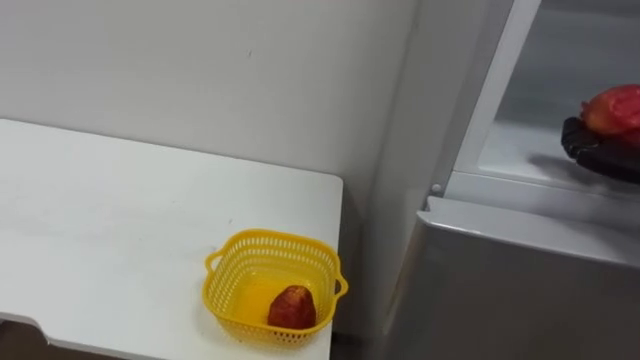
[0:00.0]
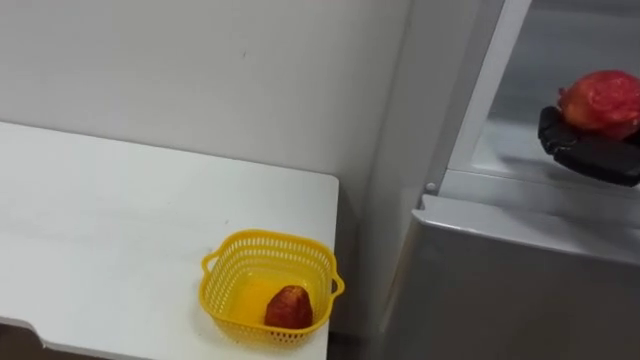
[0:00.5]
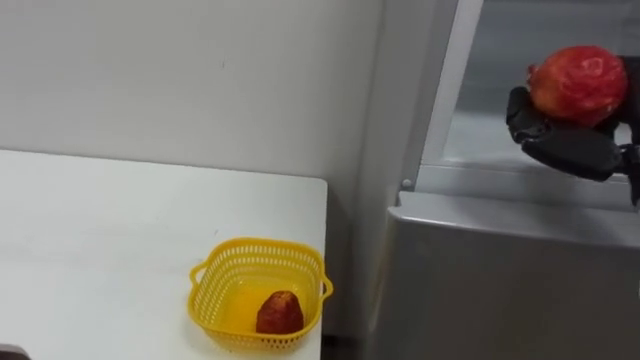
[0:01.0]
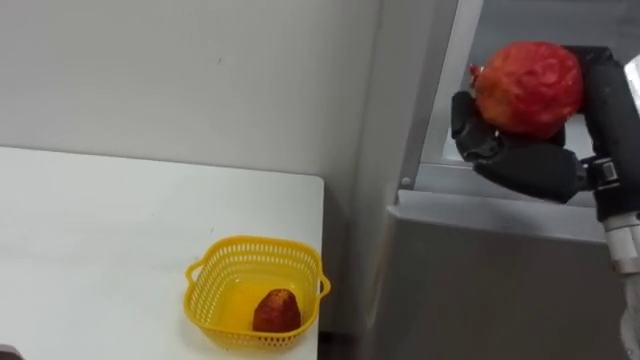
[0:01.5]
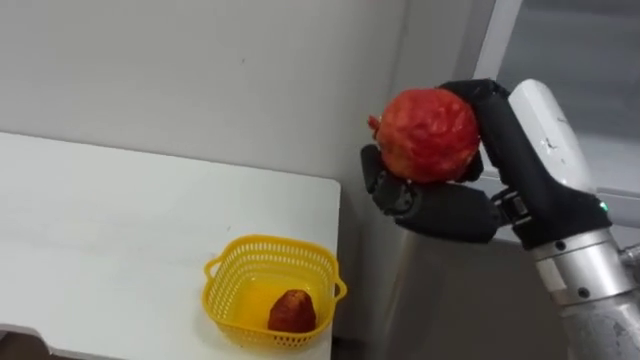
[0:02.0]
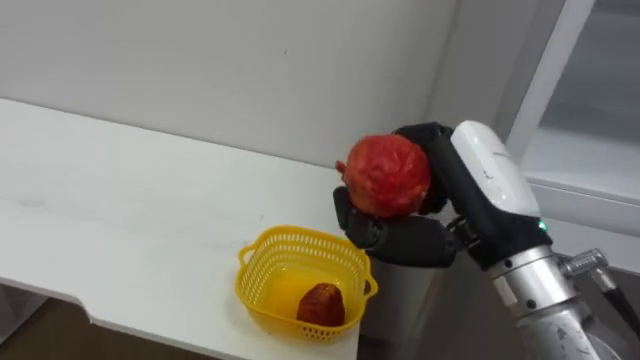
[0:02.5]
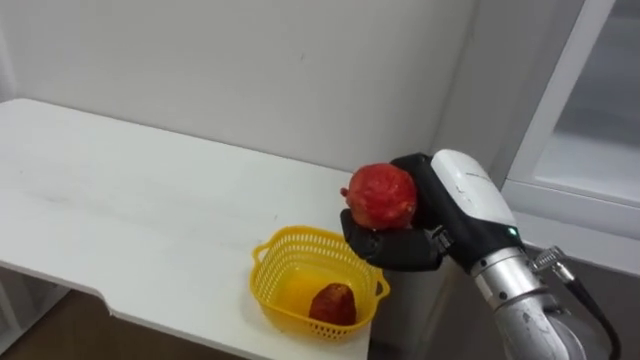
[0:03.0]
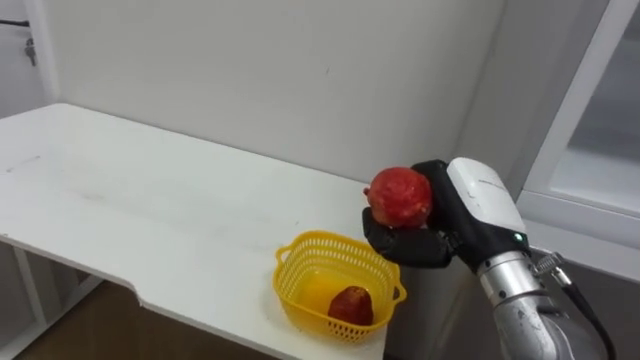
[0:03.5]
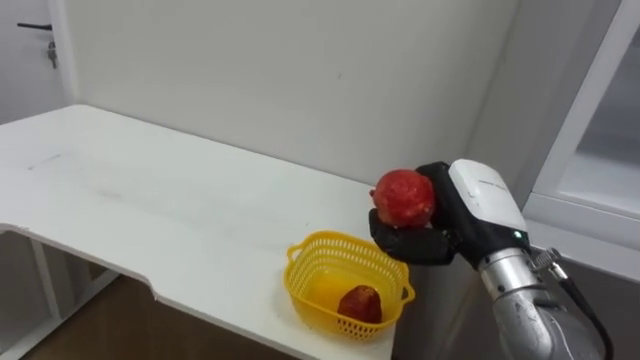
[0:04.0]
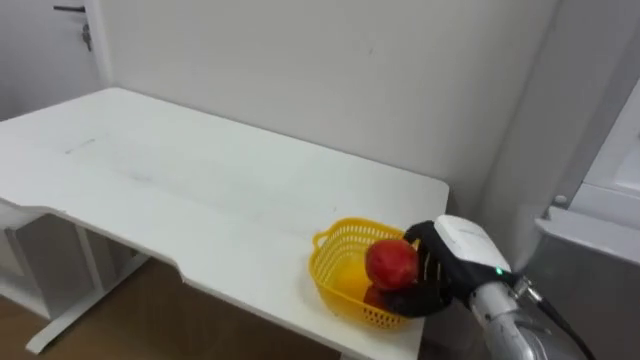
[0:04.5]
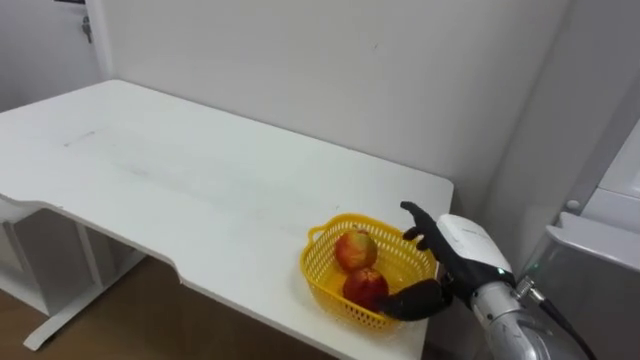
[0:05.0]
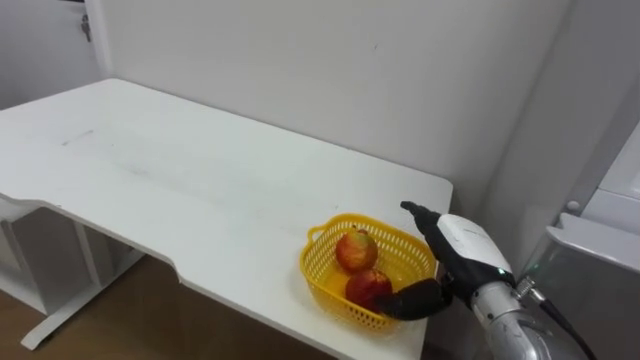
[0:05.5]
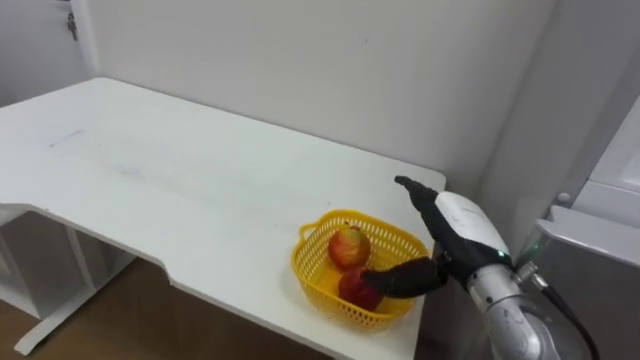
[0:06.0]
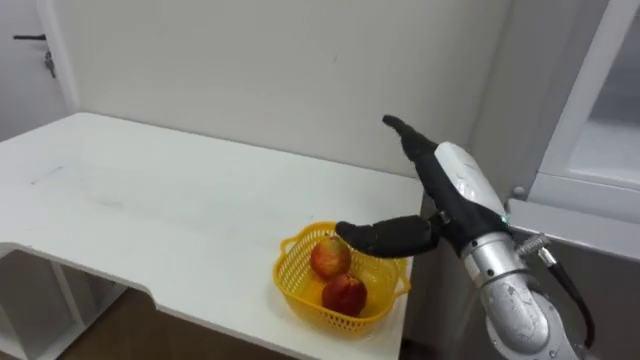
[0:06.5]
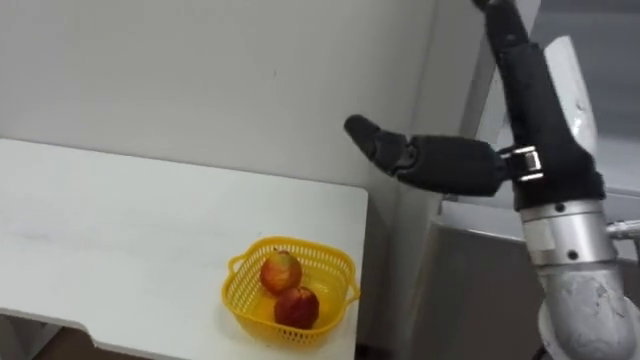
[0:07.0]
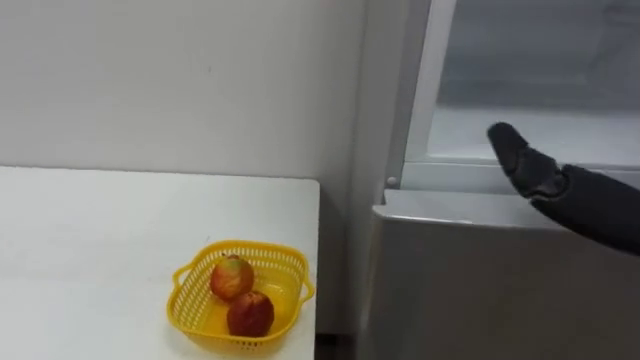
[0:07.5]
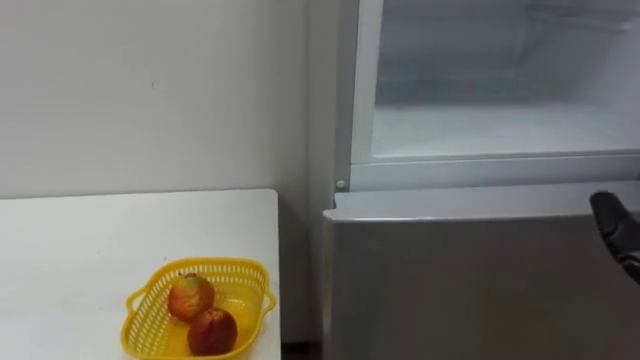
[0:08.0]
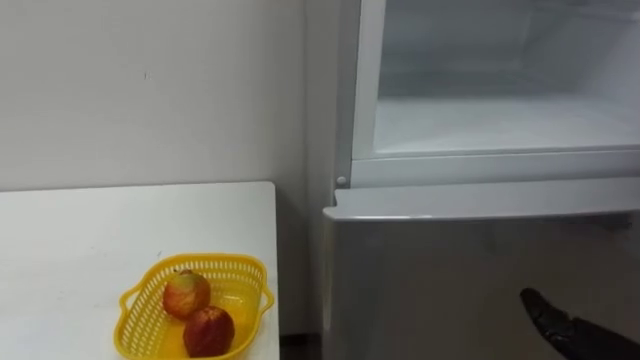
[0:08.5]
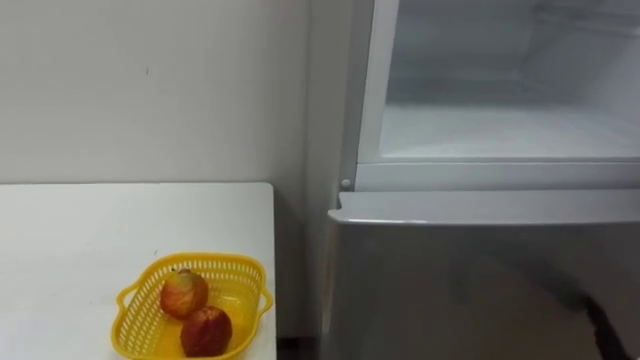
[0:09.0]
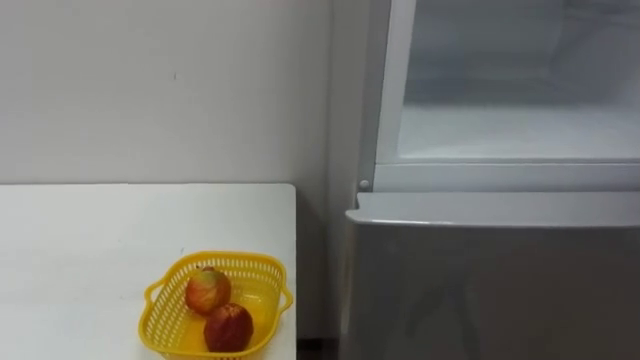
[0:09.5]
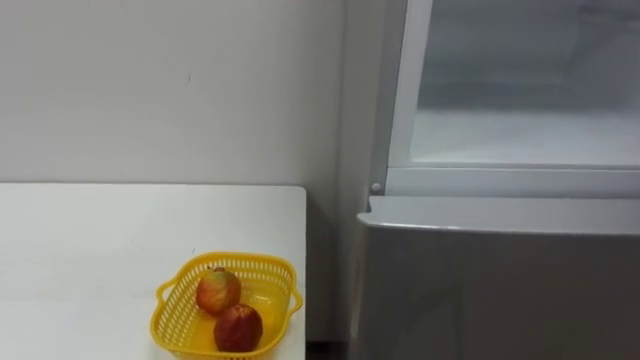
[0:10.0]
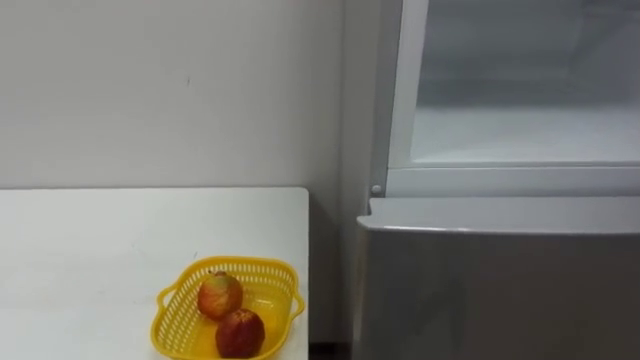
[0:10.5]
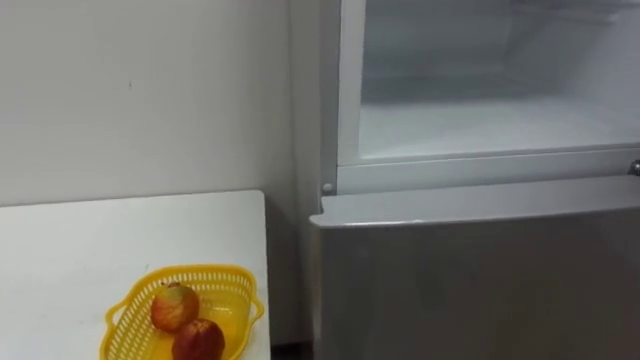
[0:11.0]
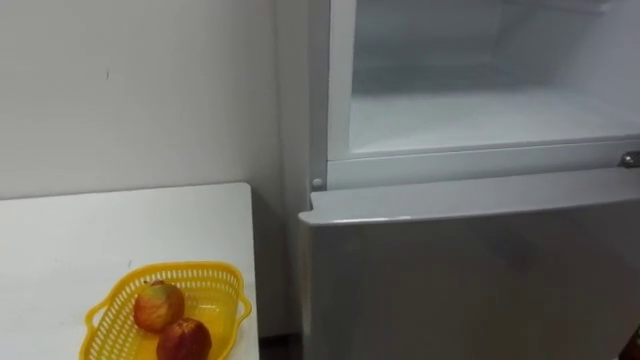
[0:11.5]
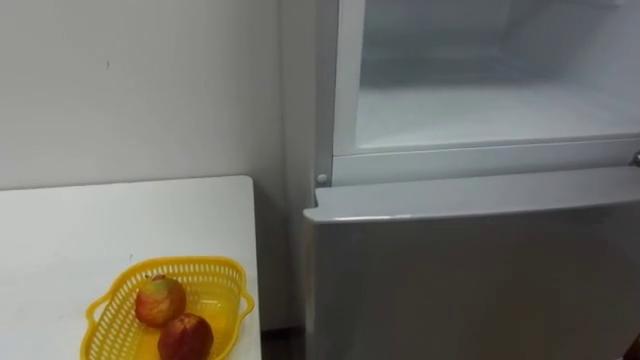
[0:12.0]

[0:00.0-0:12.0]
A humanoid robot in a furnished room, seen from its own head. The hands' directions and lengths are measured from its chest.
Task of the whole recording: Open the refrigerator door, take out the apple and the pomegranate, place them in the fruit basket on the left, and close the refrigerator door.
0:02.0 to 0:04.0: The right hand shifts about 15 cm downward and forward.
0:04.0 to 0:06.0: The right hand opens.

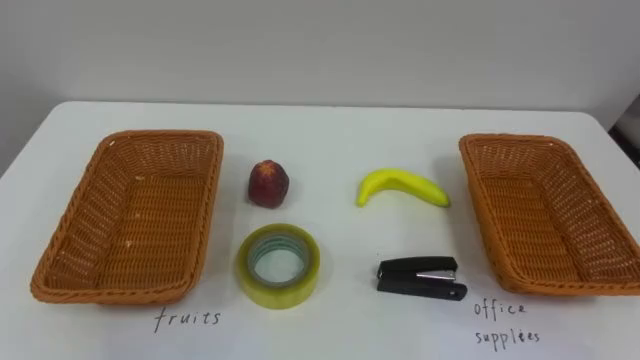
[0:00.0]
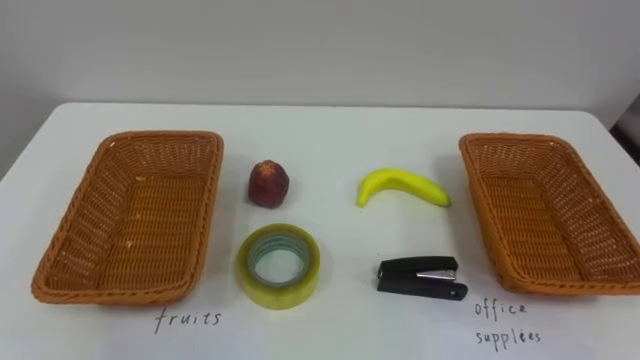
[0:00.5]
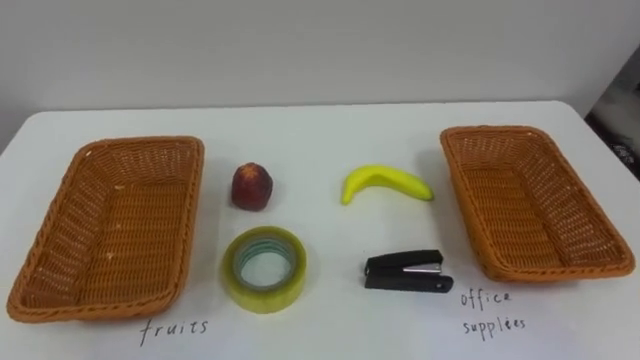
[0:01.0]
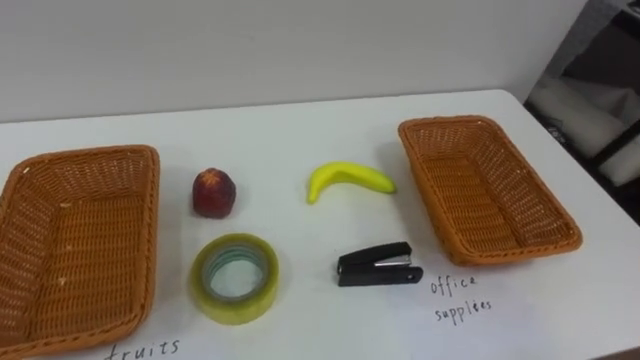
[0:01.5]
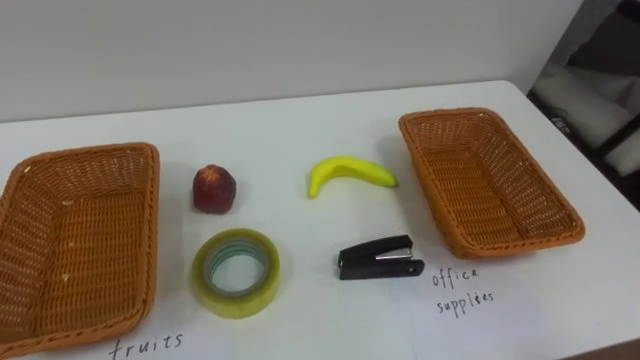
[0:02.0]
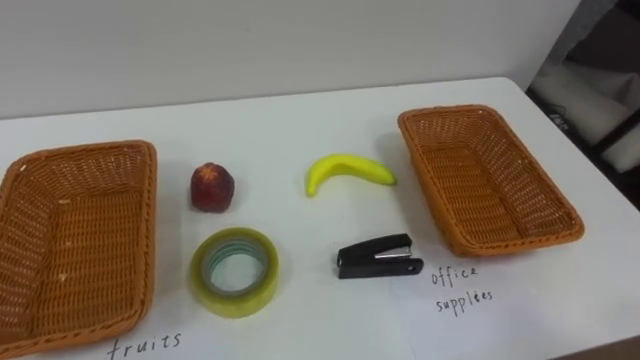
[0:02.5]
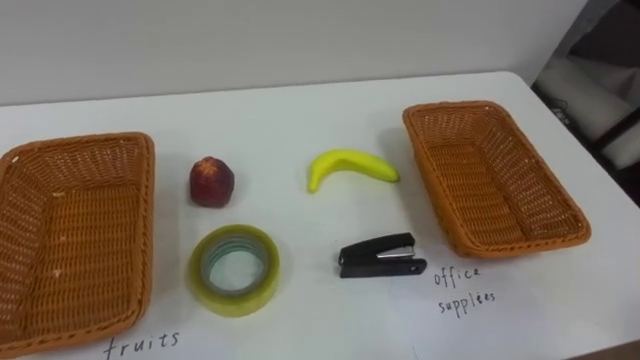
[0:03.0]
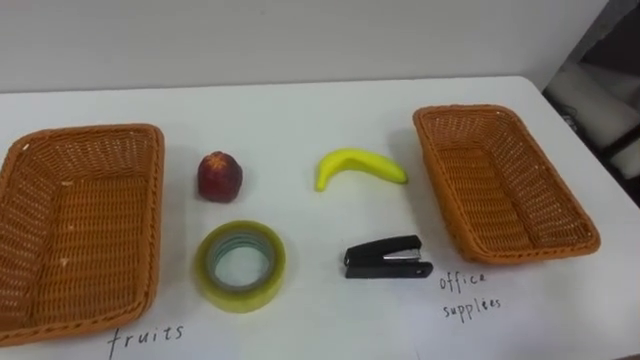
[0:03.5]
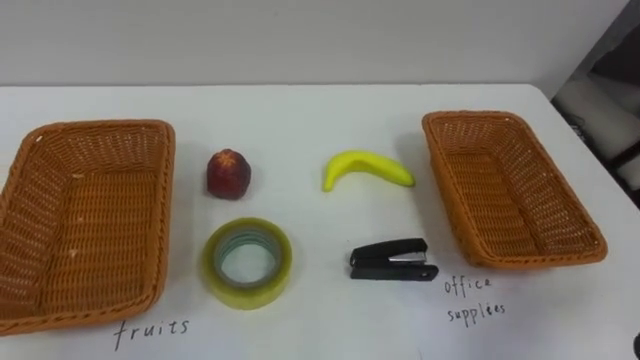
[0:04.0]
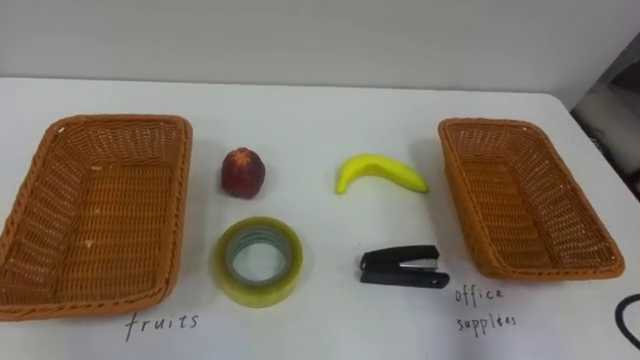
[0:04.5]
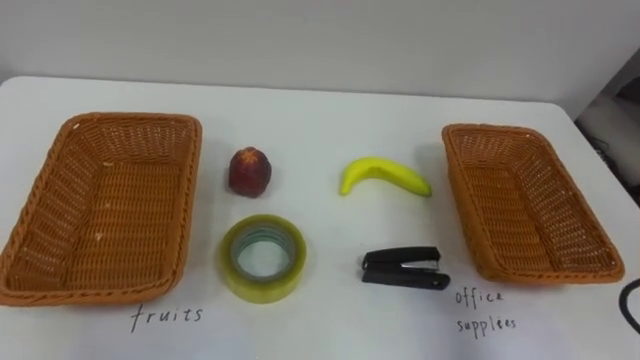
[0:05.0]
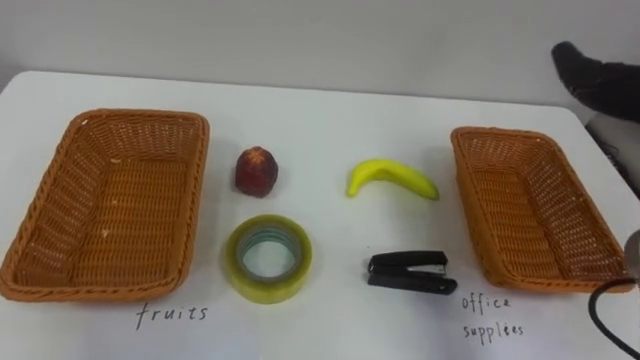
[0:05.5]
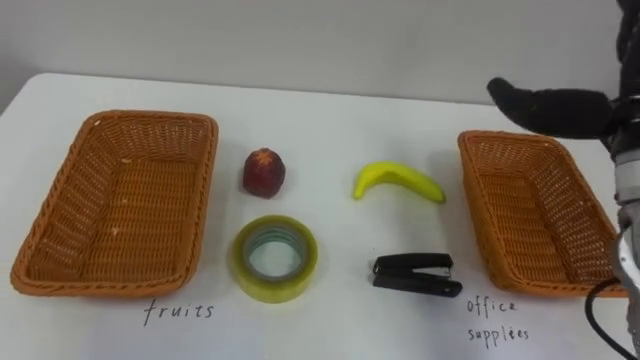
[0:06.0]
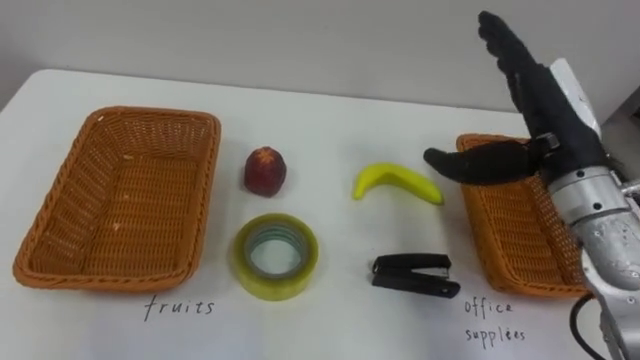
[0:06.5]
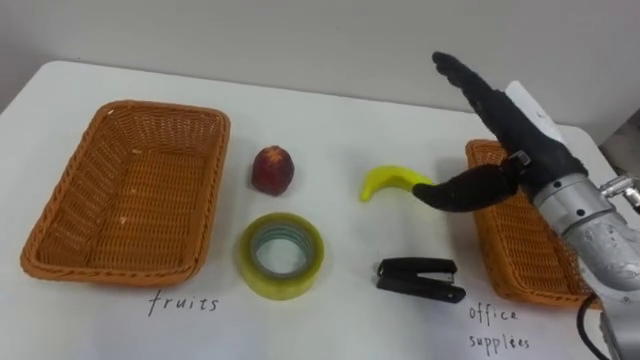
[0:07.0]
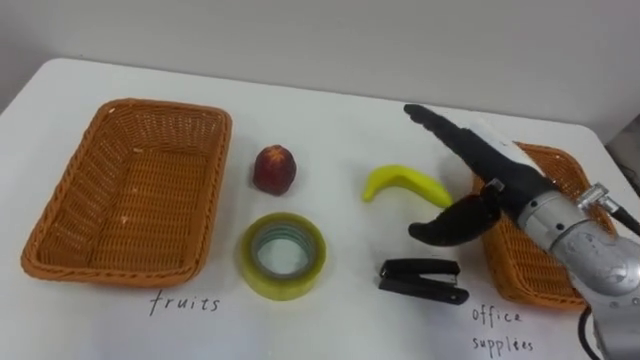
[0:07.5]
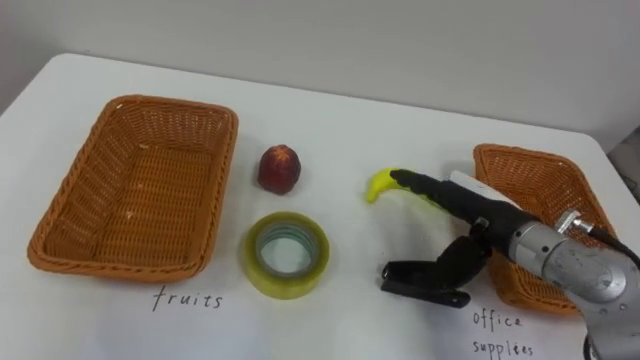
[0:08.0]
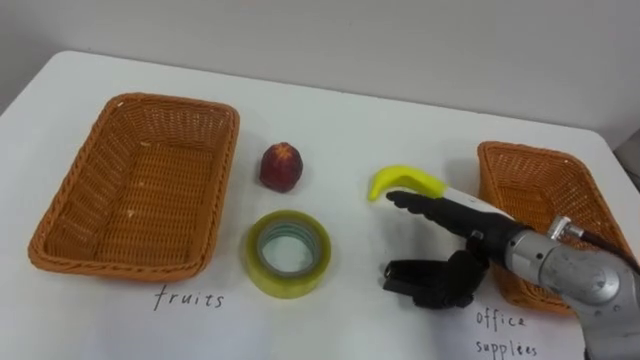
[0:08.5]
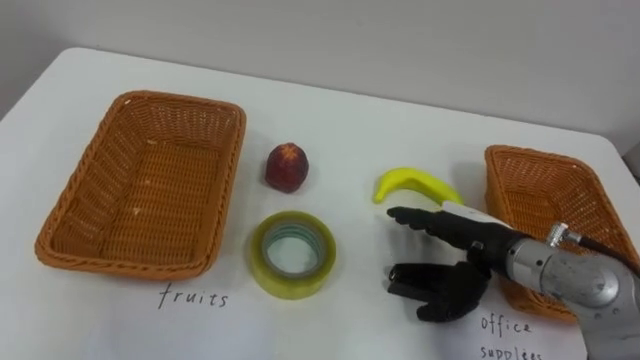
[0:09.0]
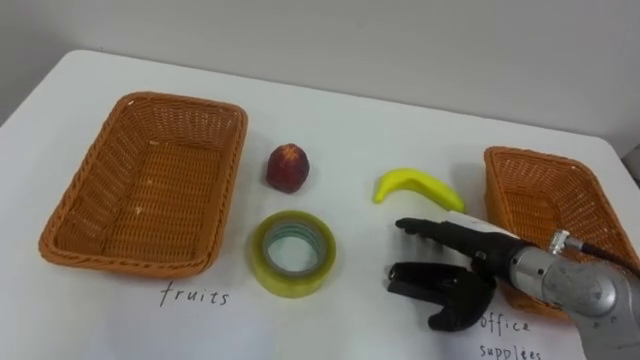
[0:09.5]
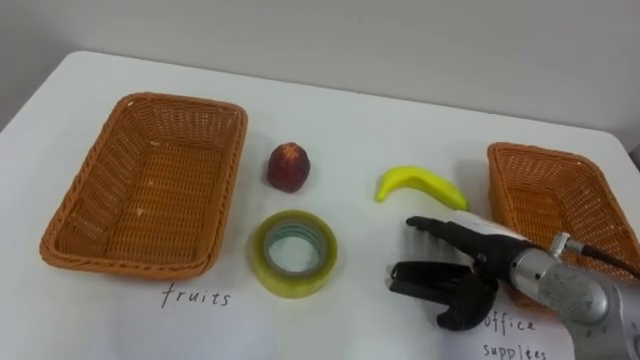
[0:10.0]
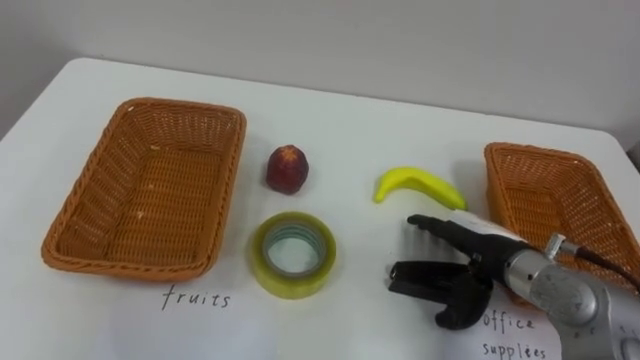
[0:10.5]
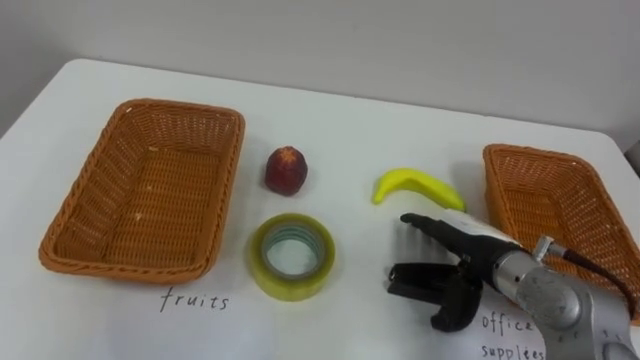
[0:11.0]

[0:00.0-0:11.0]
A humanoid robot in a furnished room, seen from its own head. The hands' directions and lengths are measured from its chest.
Task of the whole recording: Separate the items on the table and place them into the two baskets.
0:07.5 to 0:09.0: The right hand goes about 10 cm downward.
